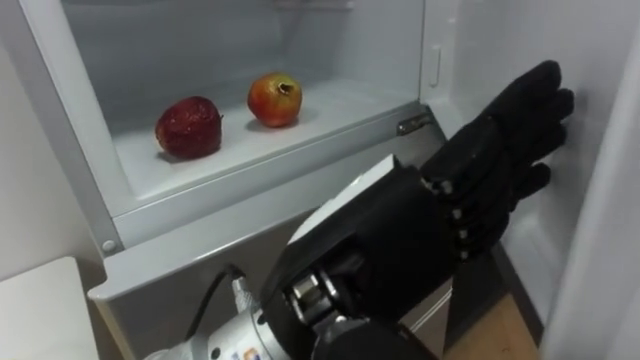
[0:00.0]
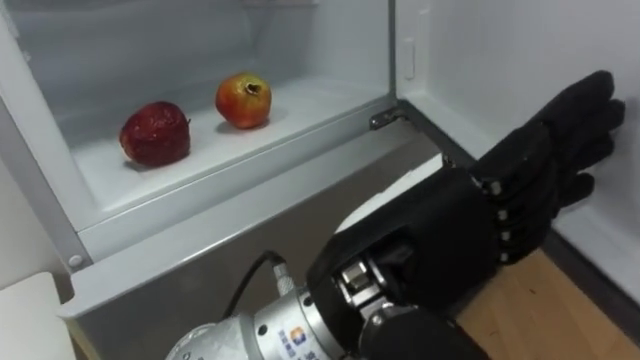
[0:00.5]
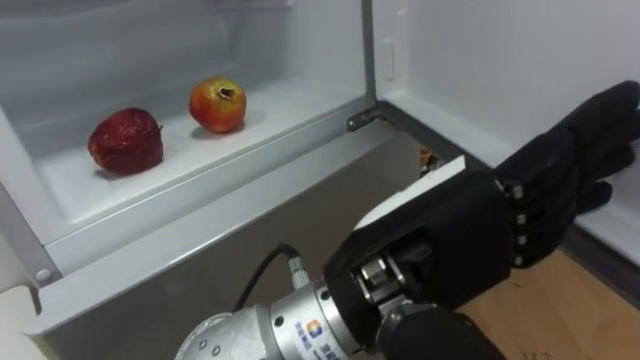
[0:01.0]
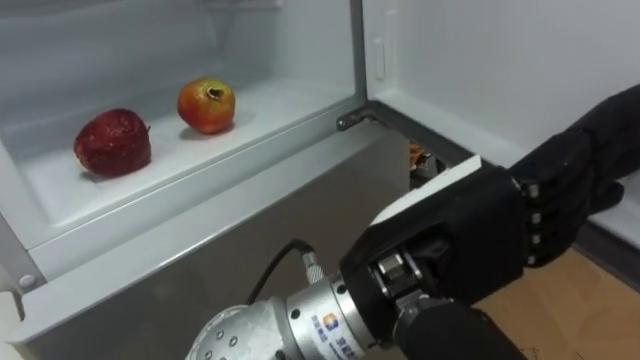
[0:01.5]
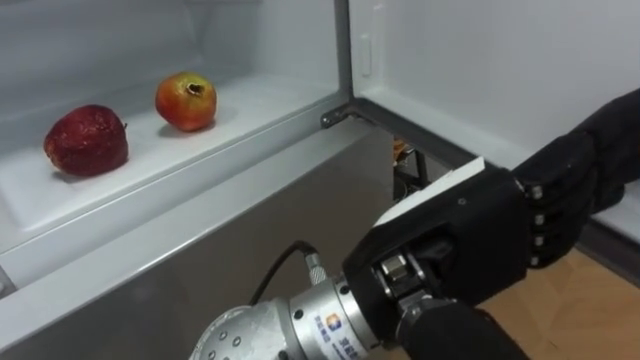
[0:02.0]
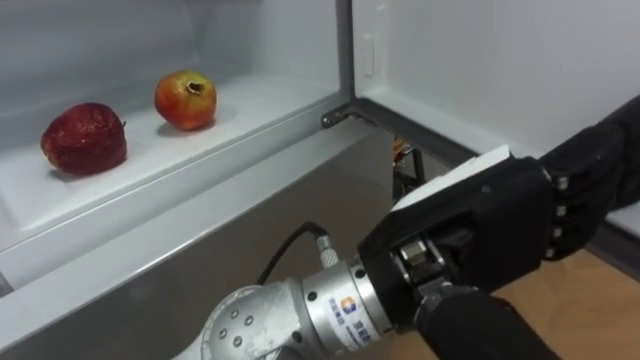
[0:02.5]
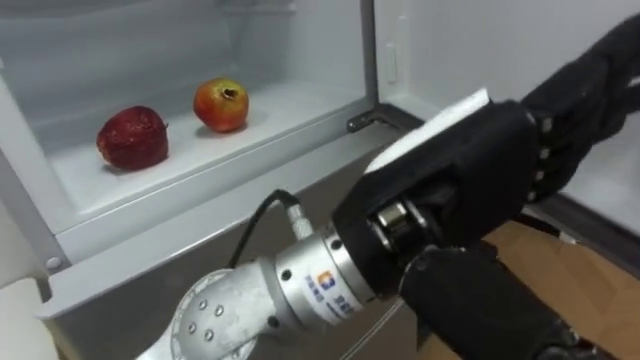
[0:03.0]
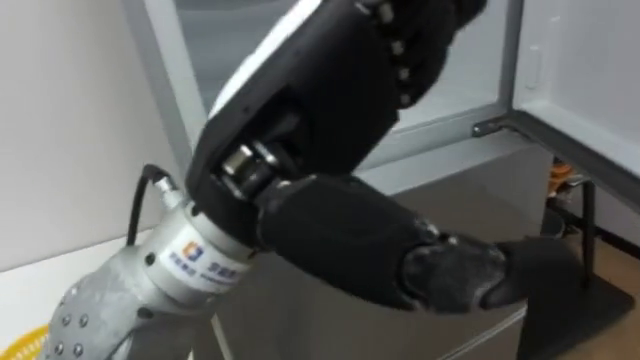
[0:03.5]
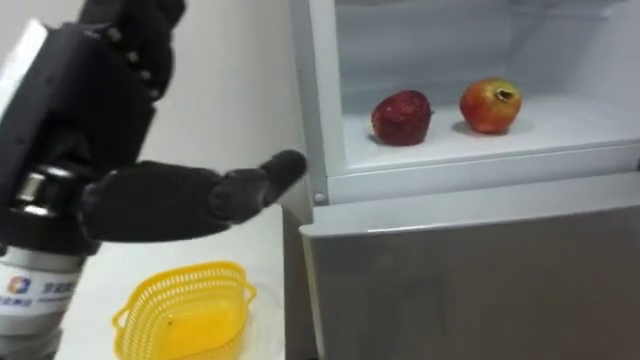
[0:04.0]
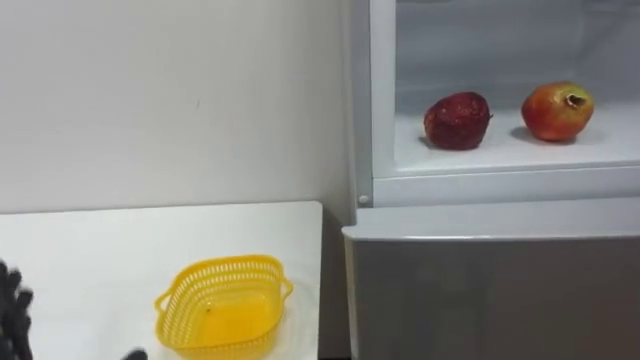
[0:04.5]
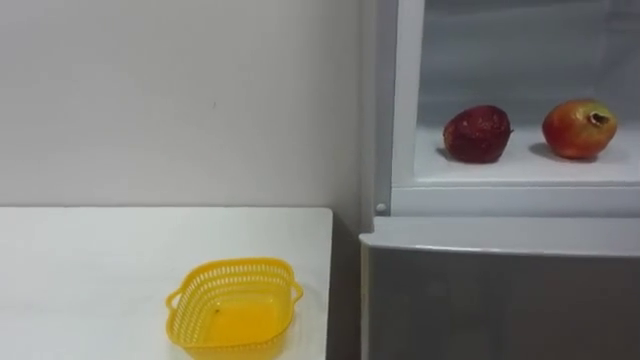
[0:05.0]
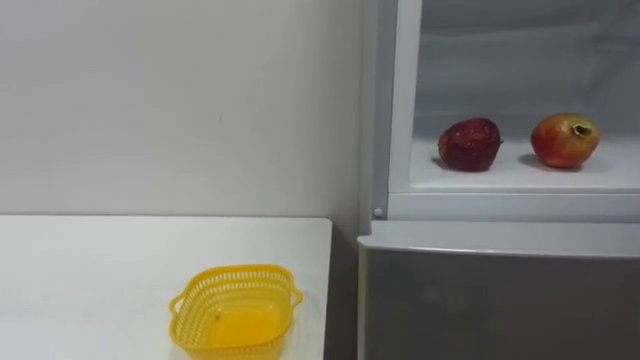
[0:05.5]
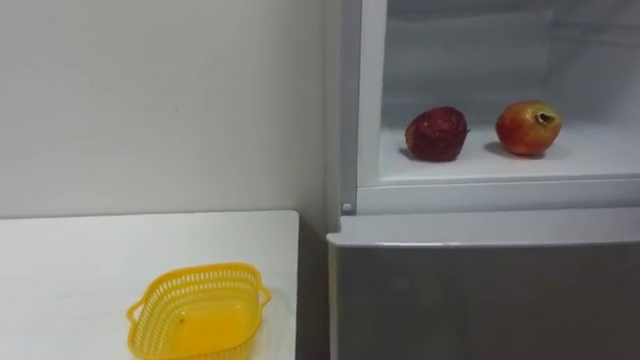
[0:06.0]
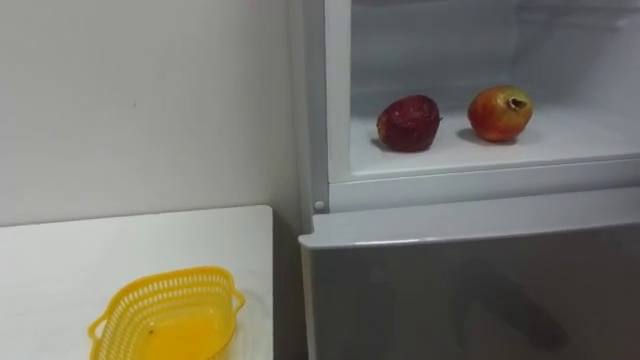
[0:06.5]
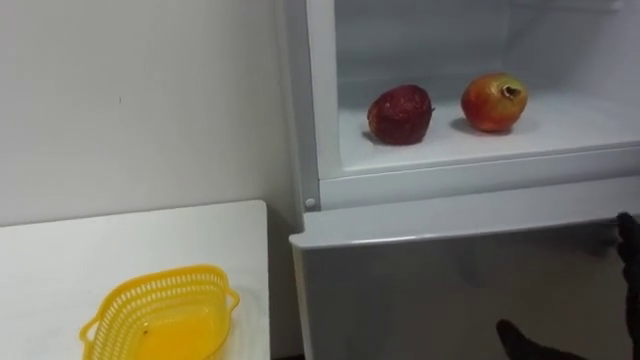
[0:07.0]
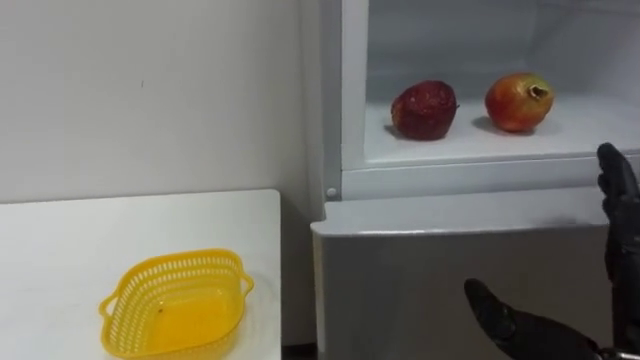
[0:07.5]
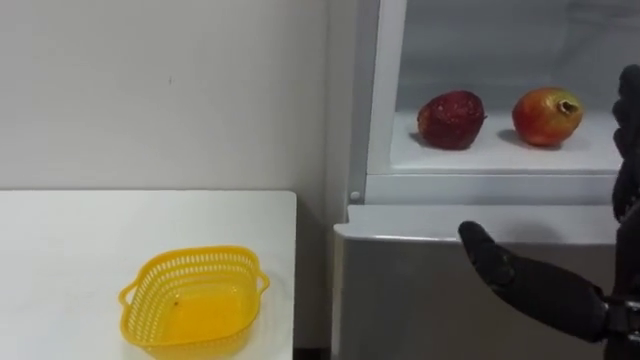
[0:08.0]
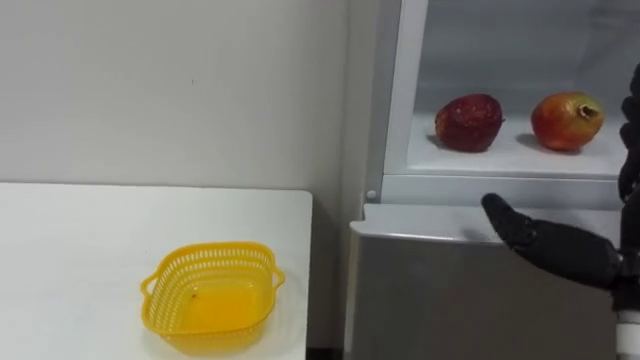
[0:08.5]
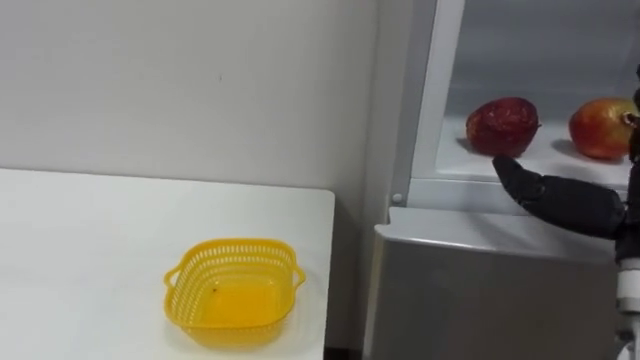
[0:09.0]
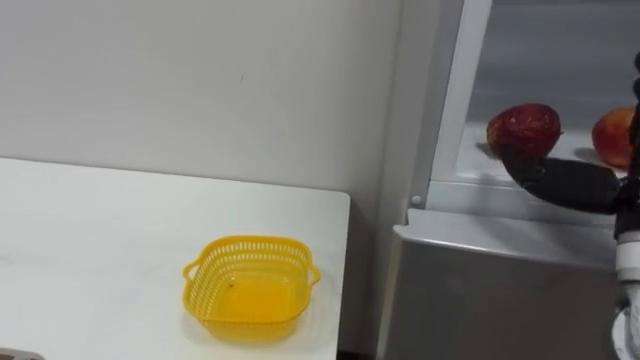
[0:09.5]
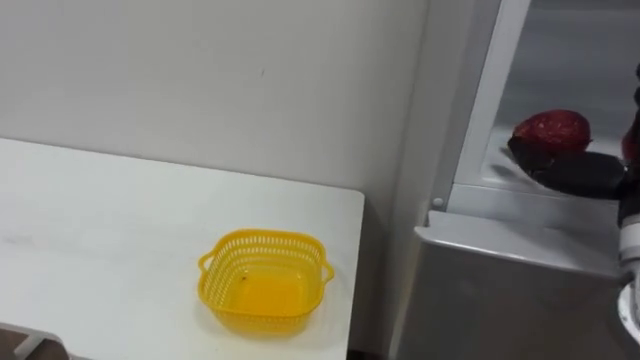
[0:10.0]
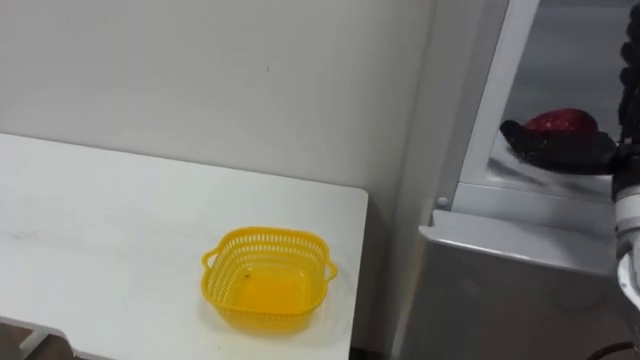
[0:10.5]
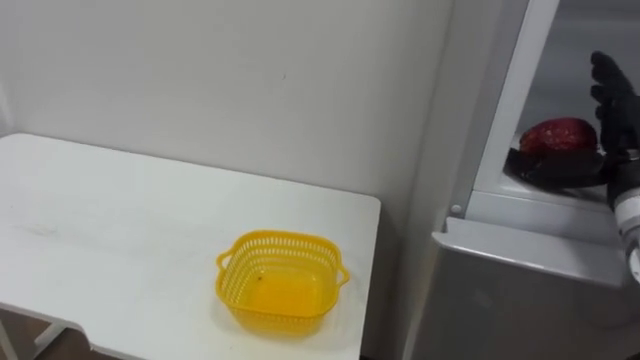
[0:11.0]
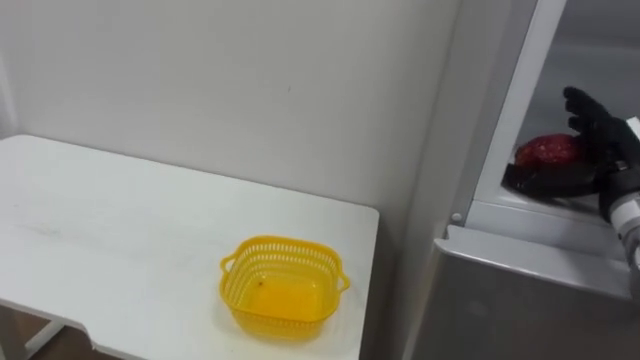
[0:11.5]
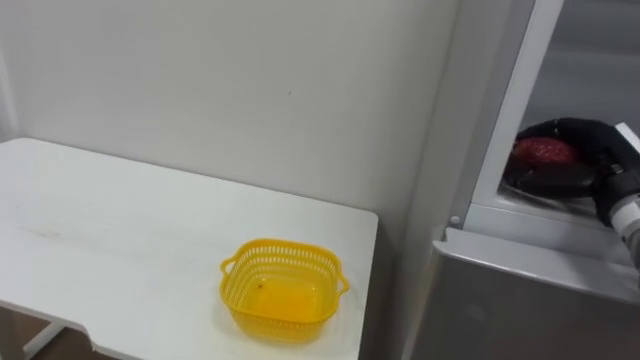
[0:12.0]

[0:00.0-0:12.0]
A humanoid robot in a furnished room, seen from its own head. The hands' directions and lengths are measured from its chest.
Task of the whole recording: Open the refrigerator door, take out the apple and the pomegranate, place them in the fruit basket on the left, and close the refrigerator door.
0.0 to 2.0 s: The left hand shifts approximately 5 cm to the right.
2.0 to 4.0 s: The left hand is displaced to the left by some 20 cm.
10.0 to 12.0 s: The right hand shifts about 10 cm forward and downward, and closes its fingers.

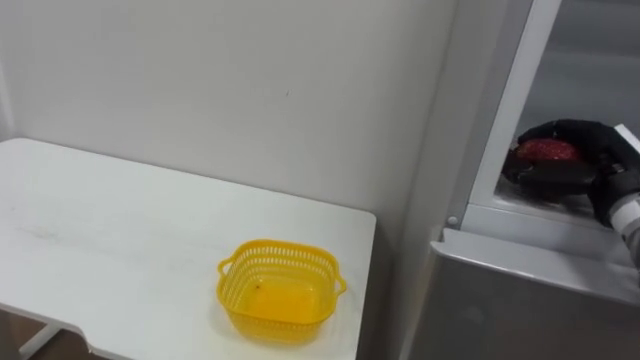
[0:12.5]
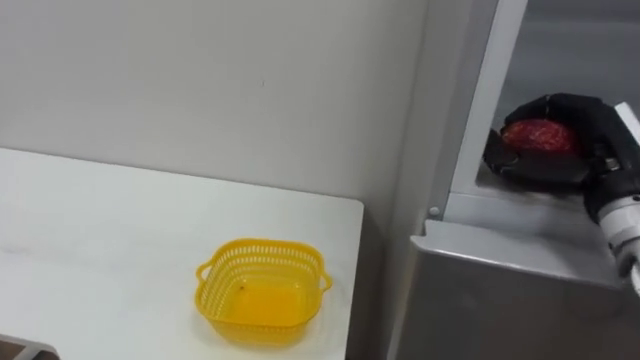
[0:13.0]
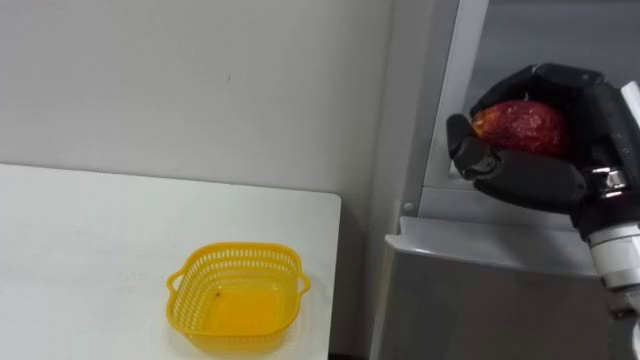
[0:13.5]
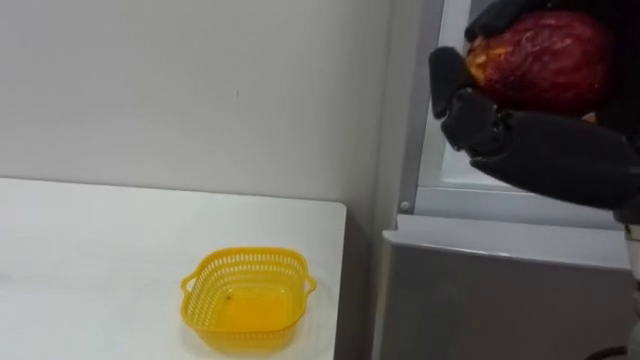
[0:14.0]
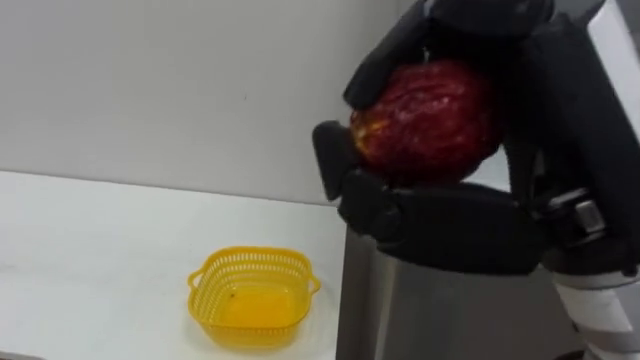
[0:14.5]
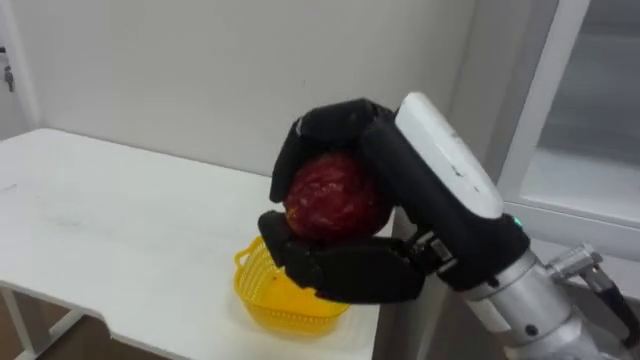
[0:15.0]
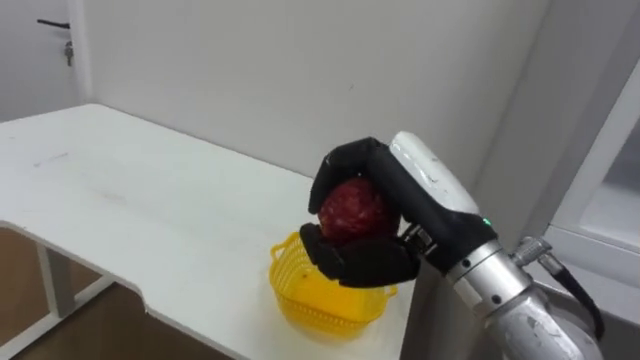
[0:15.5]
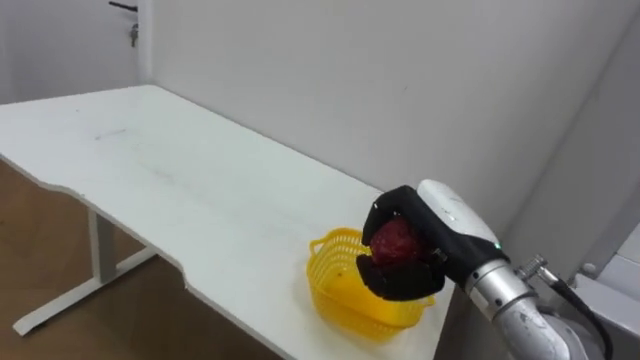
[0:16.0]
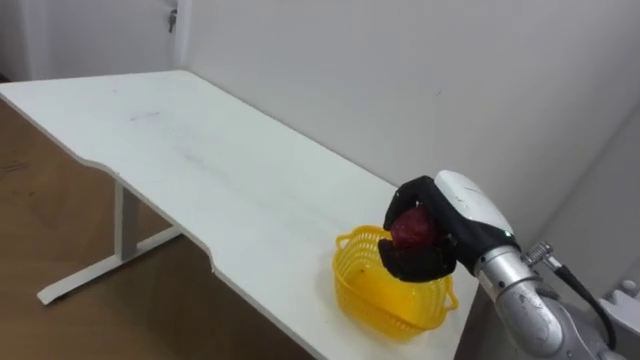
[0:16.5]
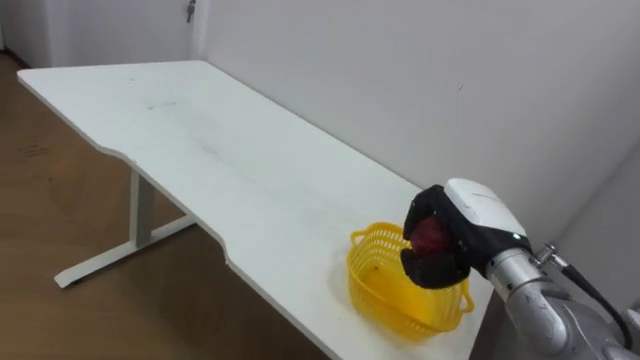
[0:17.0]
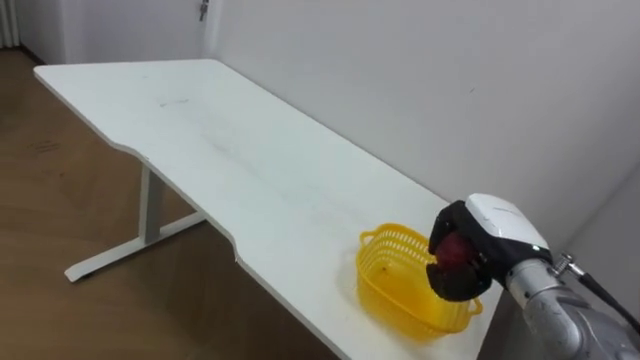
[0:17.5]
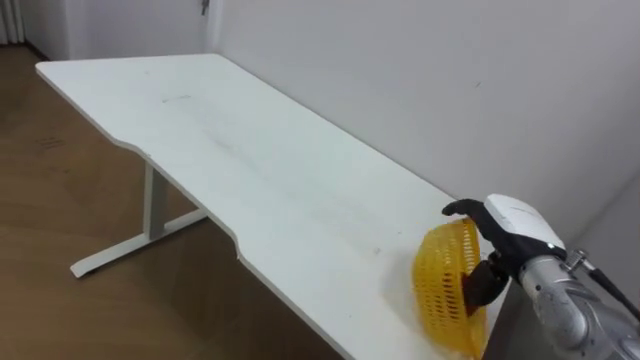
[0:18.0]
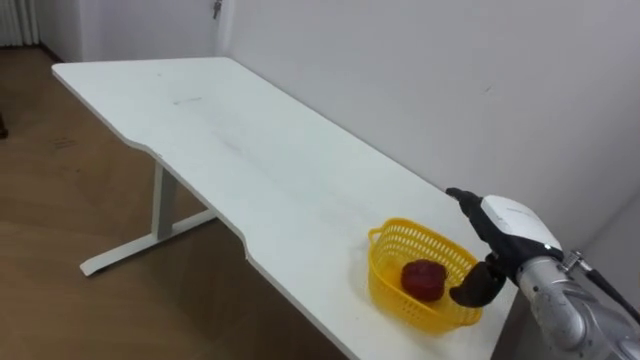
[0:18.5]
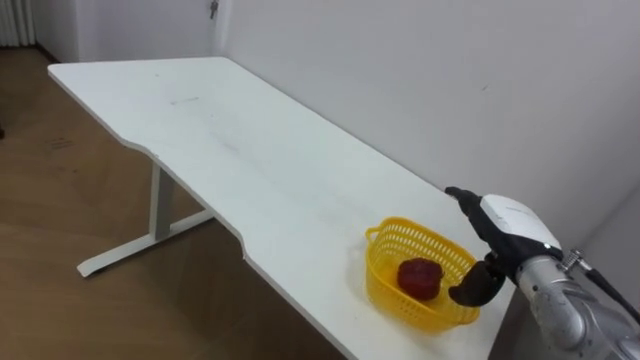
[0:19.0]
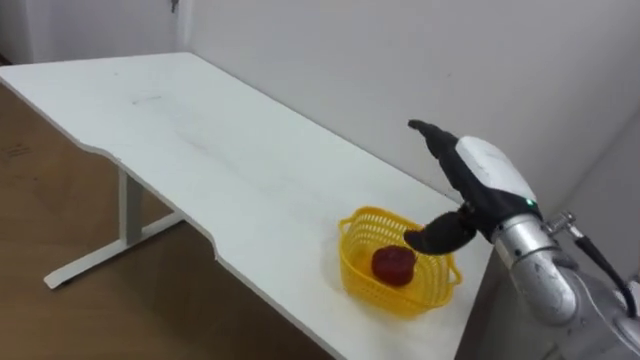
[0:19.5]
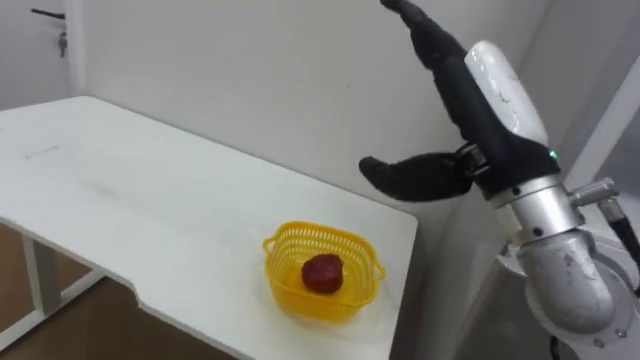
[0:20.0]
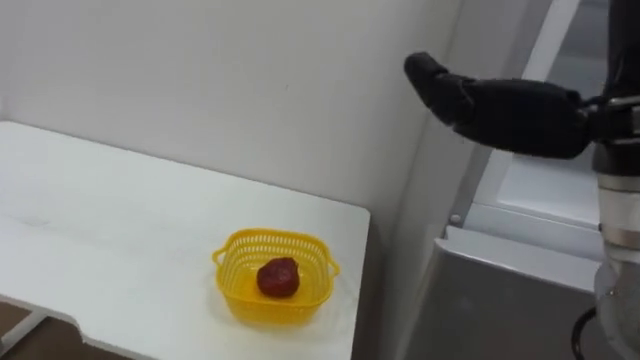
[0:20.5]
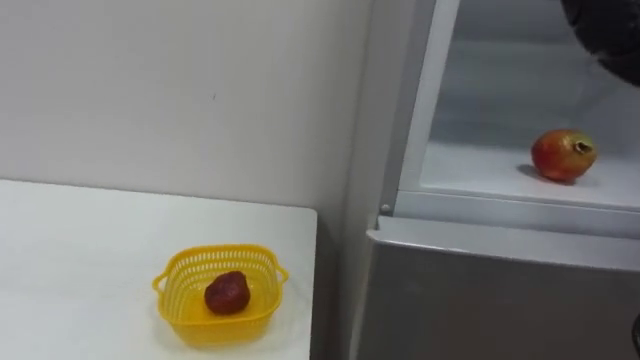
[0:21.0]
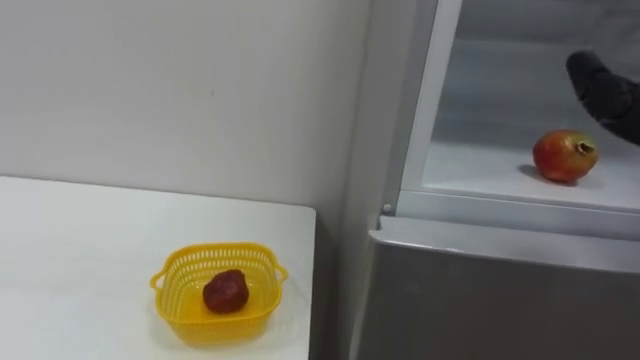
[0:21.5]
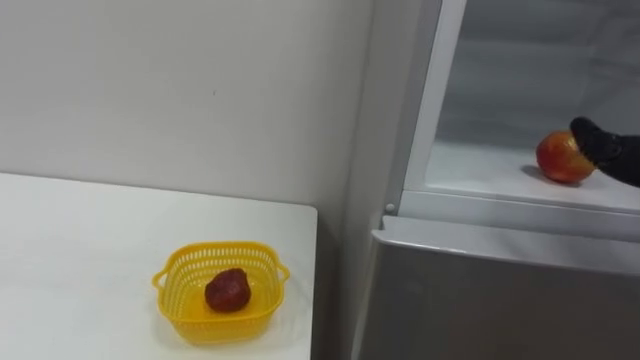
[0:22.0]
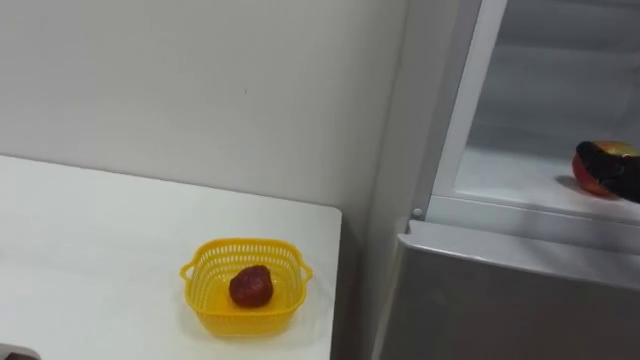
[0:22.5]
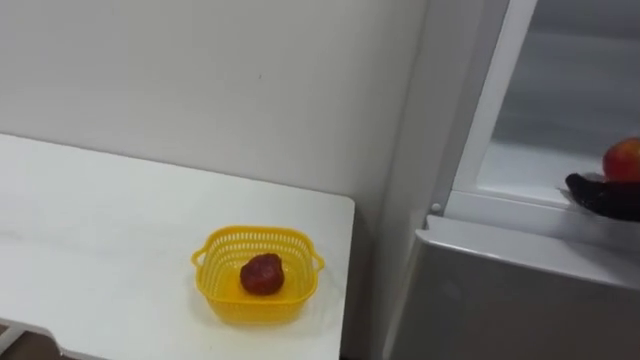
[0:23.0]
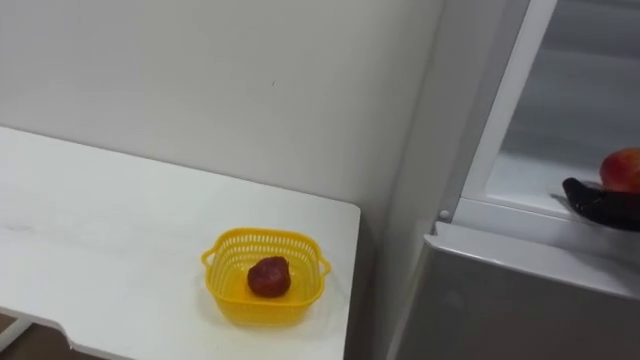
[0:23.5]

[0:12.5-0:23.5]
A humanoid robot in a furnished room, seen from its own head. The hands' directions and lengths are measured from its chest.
Task of the whole recording: Open the refrigerator door, take out the apple and the pomegranate, place them in the fruit basket on the left, and close the refrigerator door.
12.5 to 14.5 s: The right hand shifts approximately 30 cm backward, to the left and upward.
14.5 to 16.0 s: The right hand travels downward and forward by about 20 cm.
16.0 to 18.0 s: The right hand travels to the right, downward and forward by roughly 10 cm, and opens its fingers.
18.0 to 20.0 s: The right hand goes approximately 20 cm upward, to the left and backward.
